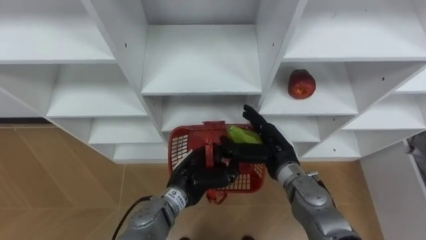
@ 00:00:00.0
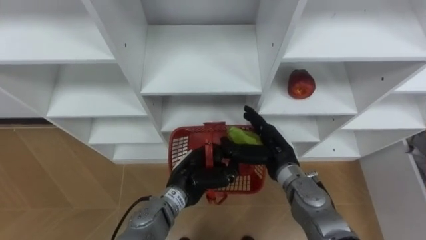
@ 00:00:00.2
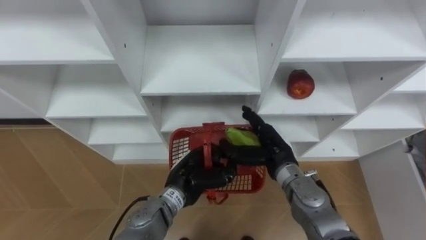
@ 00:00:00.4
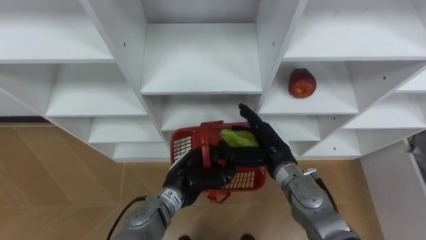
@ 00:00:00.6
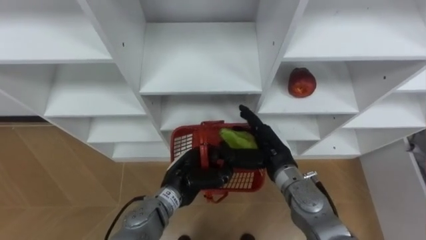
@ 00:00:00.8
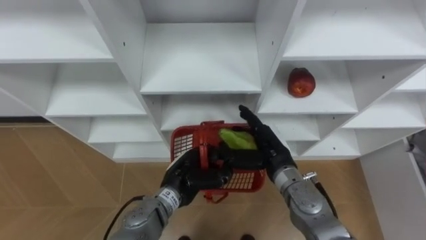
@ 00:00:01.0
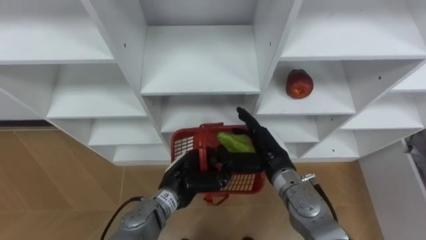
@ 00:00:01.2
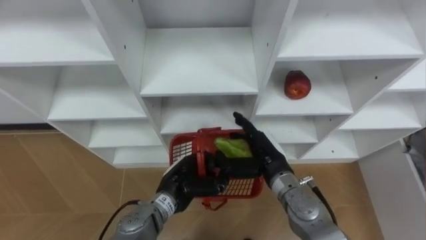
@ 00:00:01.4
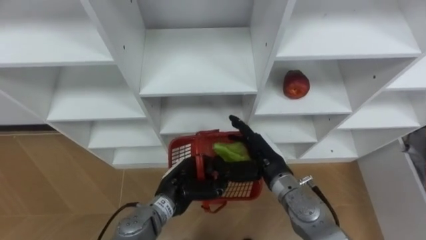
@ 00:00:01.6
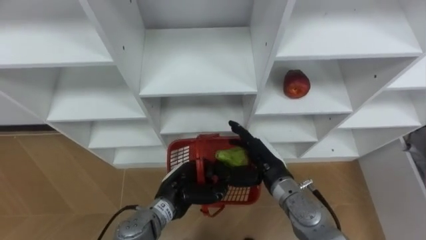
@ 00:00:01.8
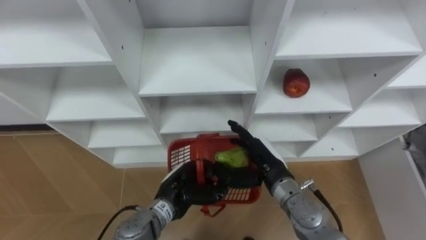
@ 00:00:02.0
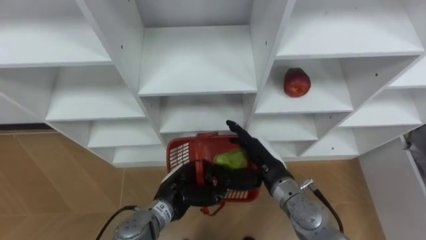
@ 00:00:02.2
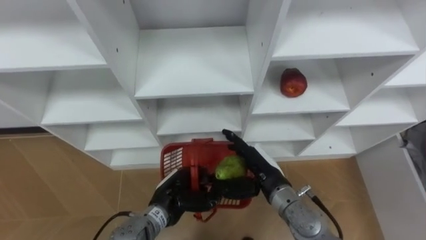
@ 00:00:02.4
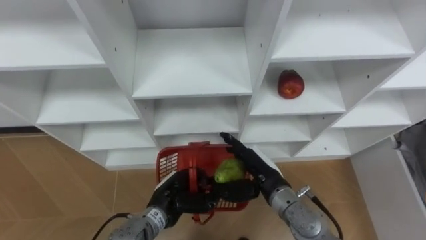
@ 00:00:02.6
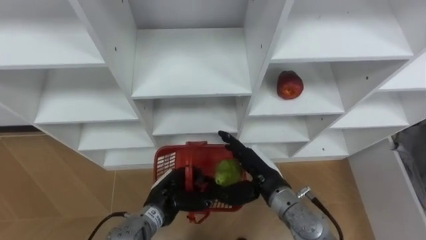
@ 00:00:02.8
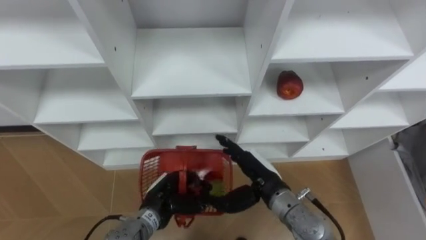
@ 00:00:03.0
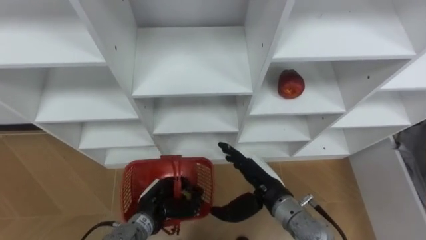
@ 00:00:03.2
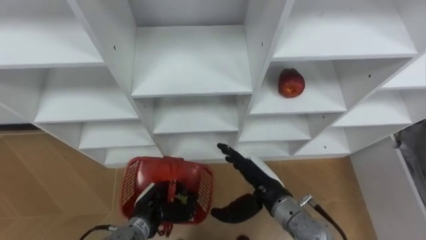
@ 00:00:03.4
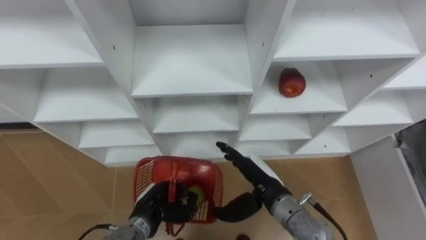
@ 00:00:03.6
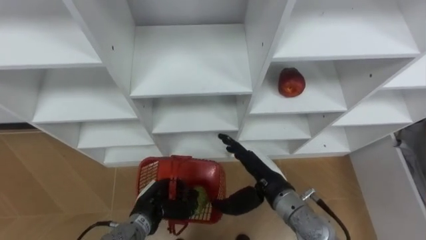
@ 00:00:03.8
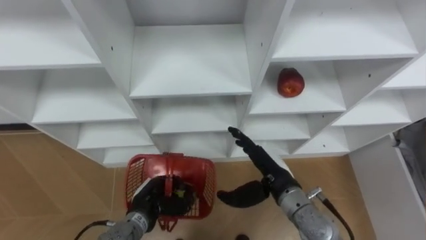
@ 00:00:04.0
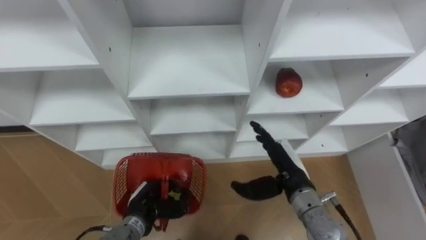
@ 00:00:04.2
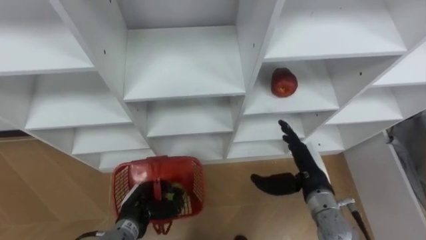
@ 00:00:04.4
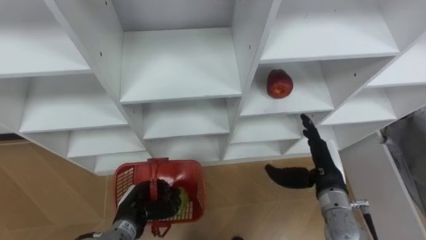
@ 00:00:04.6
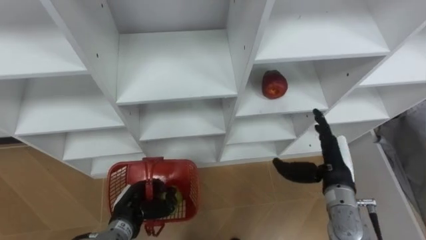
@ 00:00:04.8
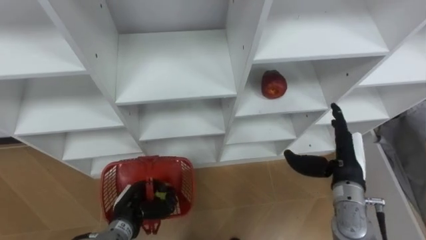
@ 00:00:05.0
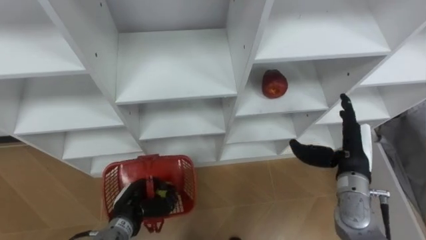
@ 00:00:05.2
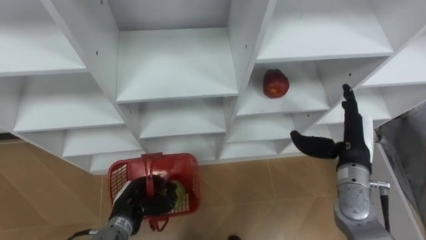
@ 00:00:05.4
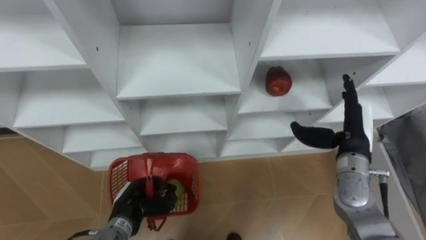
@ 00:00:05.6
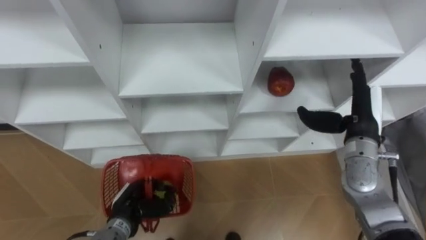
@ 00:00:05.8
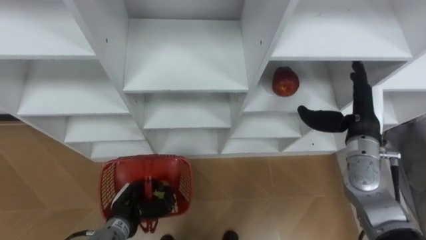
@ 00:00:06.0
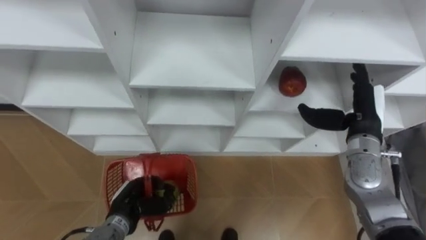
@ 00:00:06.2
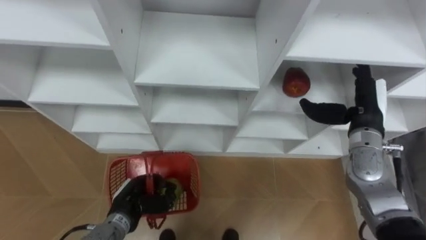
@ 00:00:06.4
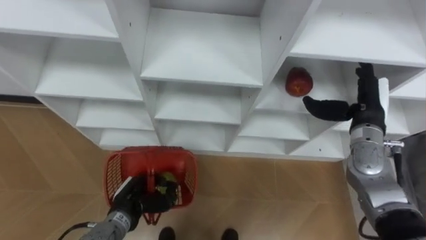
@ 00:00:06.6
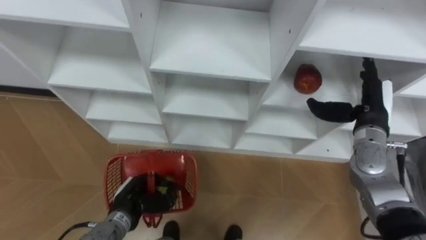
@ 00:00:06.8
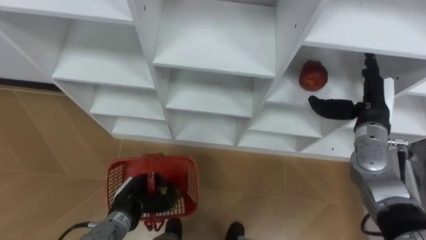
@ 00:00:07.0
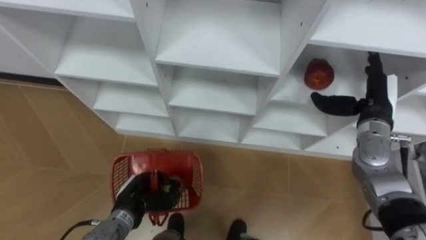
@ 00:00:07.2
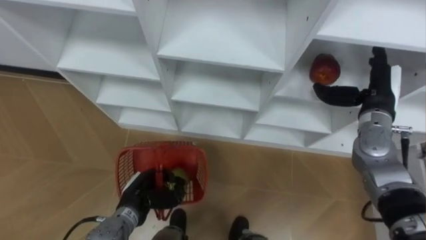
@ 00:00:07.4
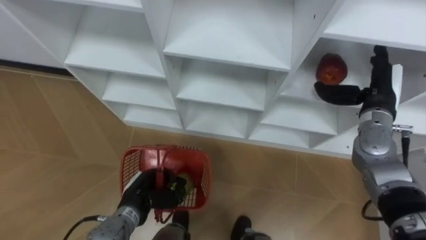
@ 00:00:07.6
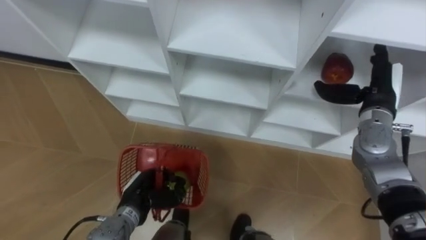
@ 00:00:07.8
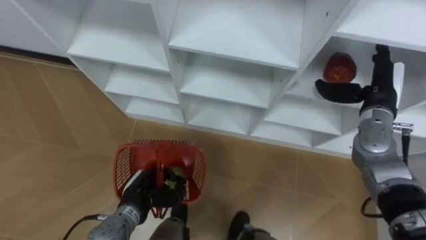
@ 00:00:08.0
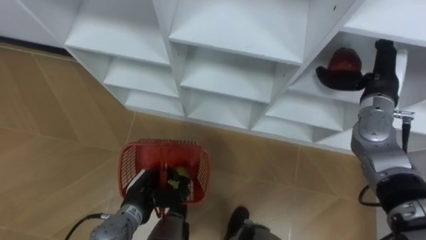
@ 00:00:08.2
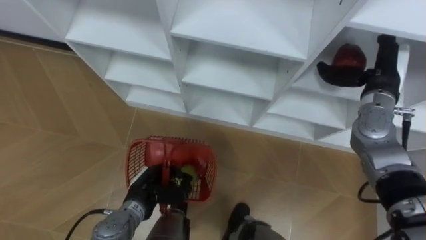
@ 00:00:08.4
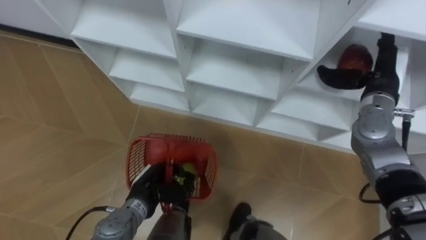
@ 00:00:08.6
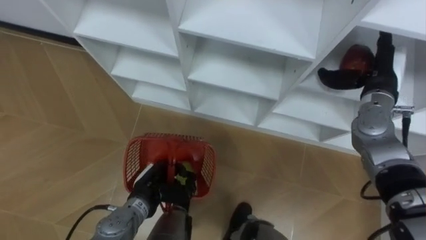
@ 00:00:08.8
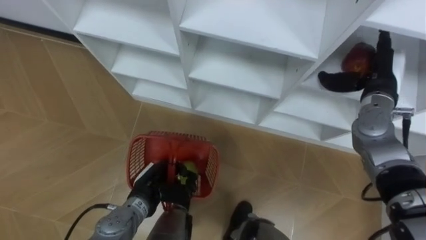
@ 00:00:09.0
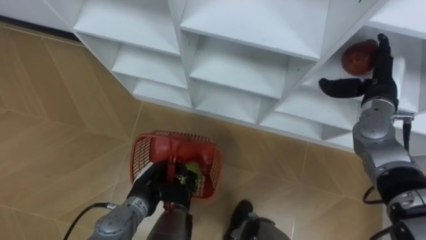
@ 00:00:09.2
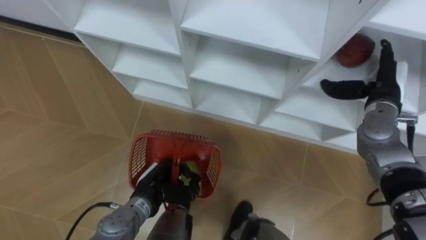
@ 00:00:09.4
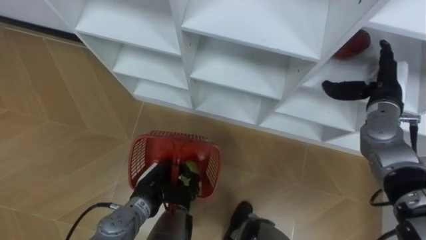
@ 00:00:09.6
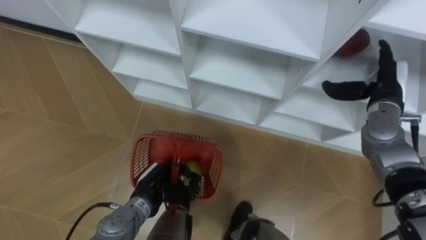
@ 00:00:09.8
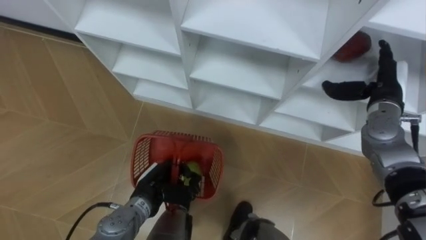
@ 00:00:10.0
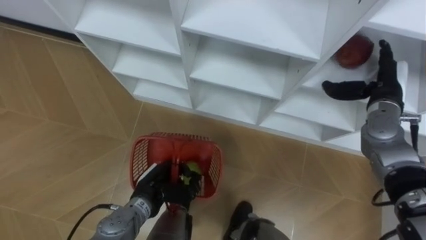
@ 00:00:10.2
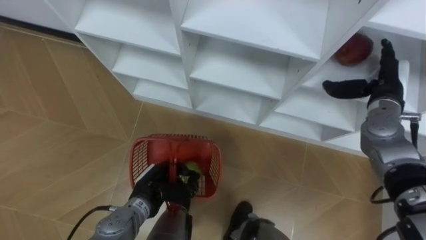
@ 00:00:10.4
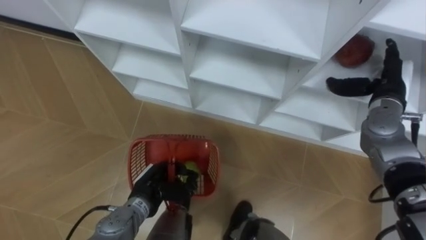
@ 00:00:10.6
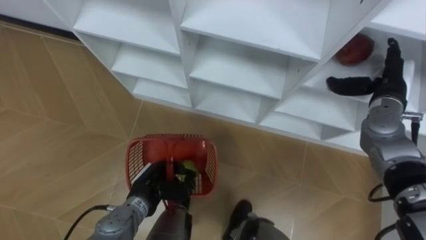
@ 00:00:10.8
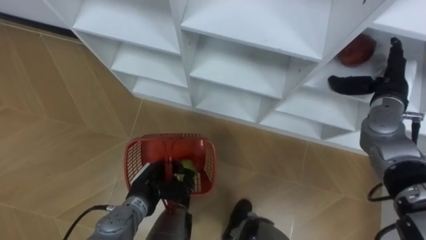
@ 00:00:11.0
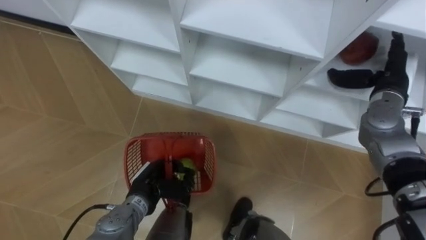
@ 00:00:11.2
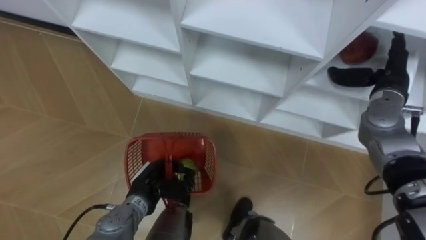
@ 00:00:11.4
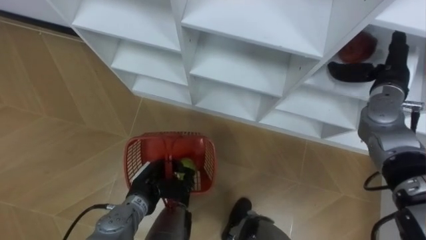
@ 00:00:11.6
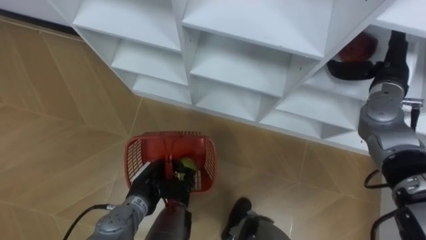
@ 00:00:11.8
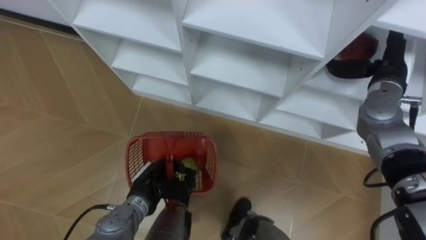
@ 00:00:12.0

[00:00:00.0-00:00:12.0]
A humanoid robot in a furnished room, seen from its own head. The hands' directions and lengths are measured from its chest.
Task of the whole recording: Hold the basket and collect the fruits from 3 different cells of the closet into it.
00:00:00.0 to 00:00:01.6: The hands move only a little.
00:00:03.0 to 00:00:04.4: The left hand travels to the left by about 5 cm; the right hand goes approximately 10 cm to the right.
00:00:04.4 to 00:00:06.0: The right hand is displaced to the right, upward and forward by roughly 15 cm.
00:00:06.0 to 00:00:07.6: The right hand moves roughly 5 cm.
00:00:09.0 to 00:00:12.0: The hands make only small movements.

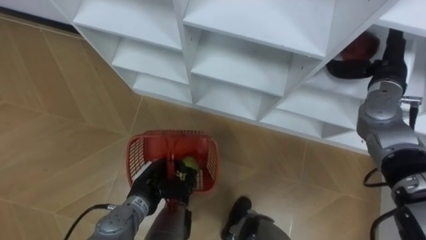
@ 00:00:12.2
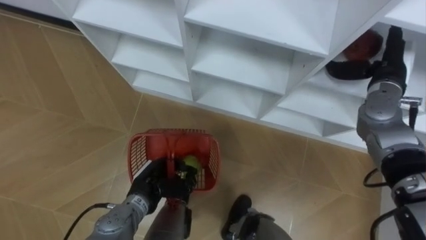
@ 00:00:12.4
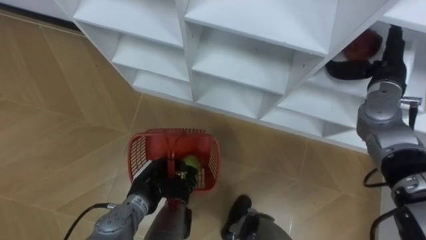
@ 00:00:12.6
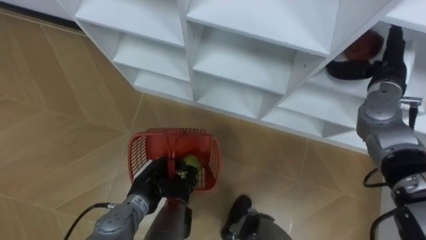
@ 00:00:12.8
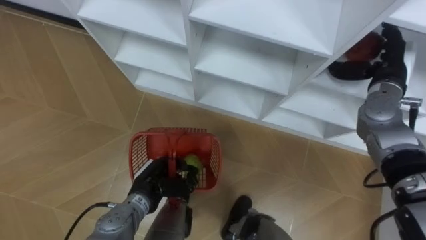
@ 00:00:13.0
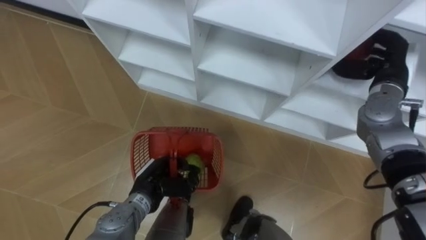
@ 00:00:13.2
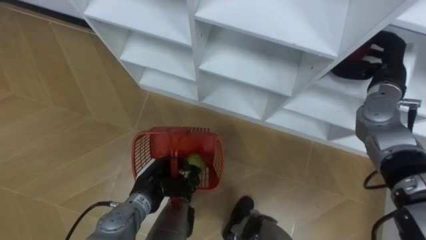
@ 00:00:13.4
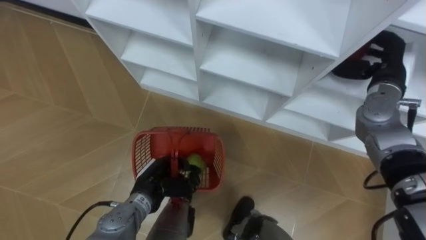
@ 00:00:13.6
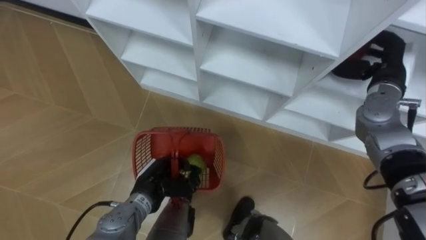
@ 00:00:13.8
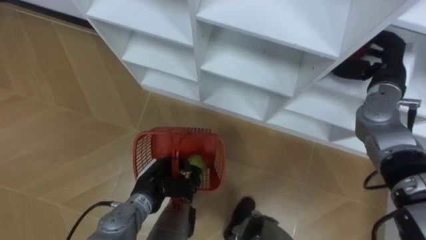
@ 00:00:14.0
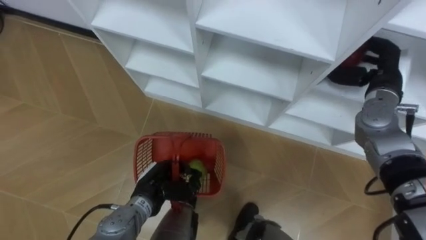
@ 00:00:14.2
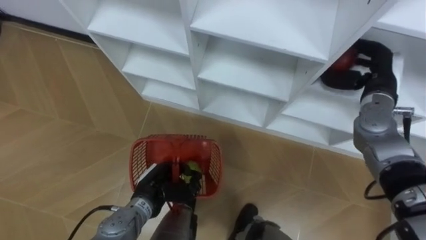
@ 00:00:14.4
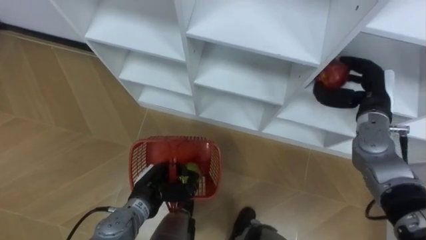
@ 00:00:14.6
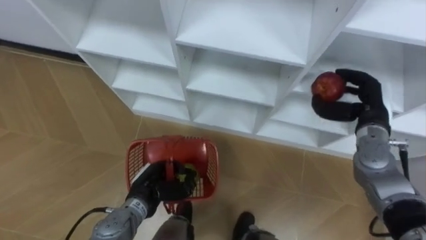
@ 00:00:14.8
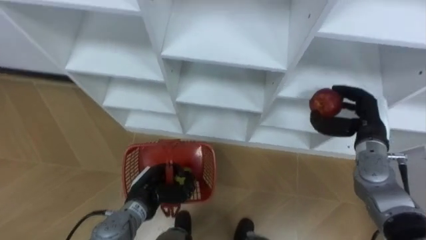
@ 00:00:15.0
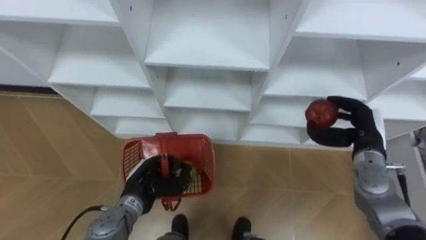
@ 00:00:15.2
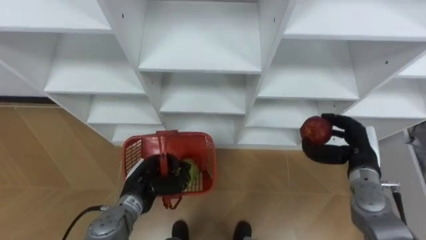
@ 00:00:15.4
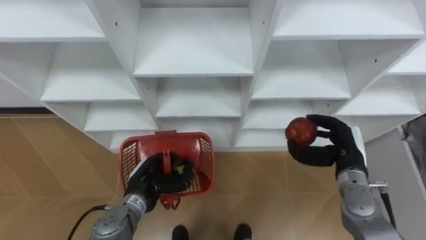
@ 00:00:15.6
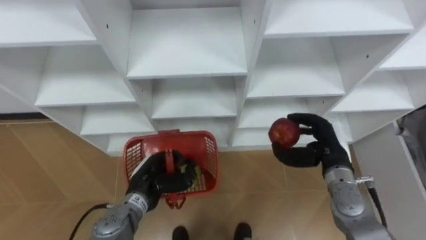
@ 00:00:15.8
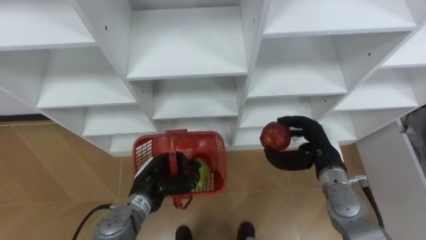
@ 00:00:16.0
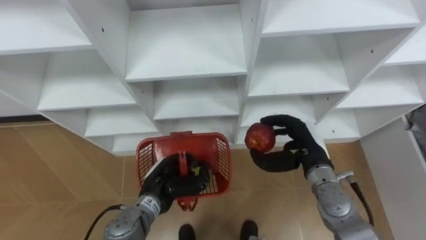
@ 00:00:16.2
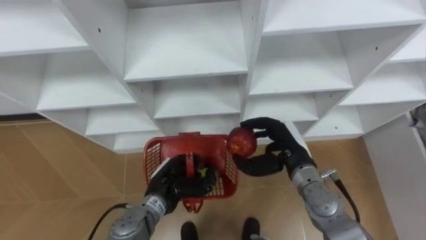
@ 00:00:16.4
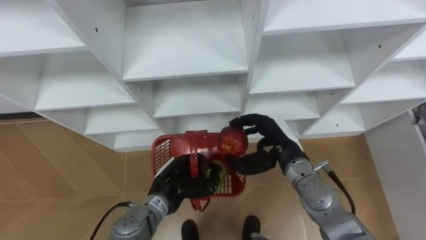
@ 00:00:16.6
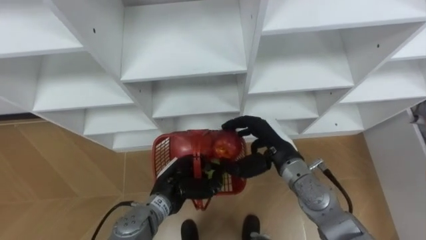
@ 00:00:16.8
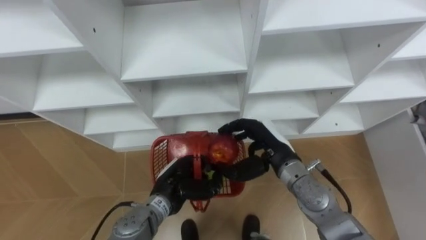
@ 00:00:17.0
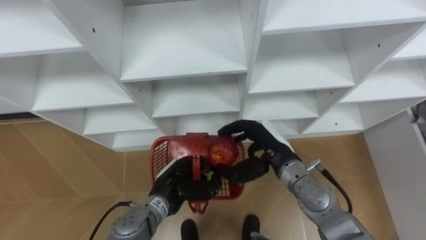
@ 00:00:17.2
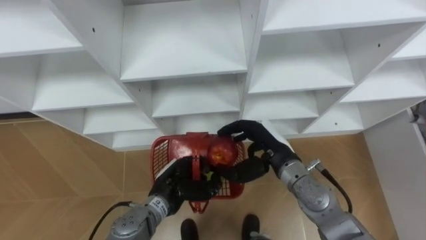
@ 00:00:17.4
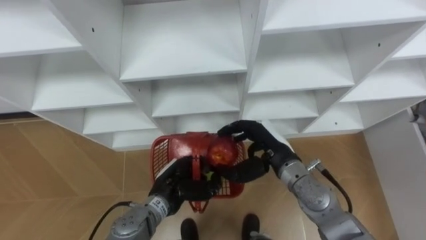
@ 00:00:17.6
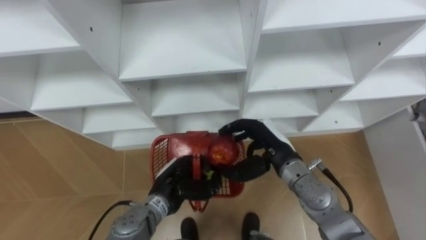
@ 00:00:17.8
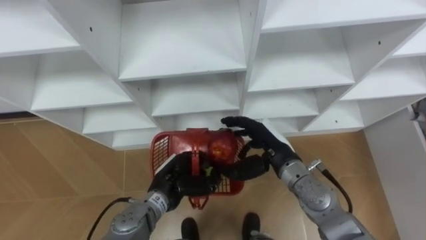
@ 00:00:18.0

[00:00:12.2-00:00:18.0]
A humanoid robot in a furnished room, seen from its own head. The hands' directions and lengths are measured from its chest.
Task of the whole recording: Hold the basket and collect the fruits from 3 different cells of the closet into it.
00:00:12.2 to 00:00:13.6: The right hand closes up.
00:00:13.6 to 00:00:15.0: The right hand heads downward and backward, covering about 10 cm.
00:00:15.0 to 00:00:16.6: The left hand shifts by some 5 cm; the right hand is displaced to the left by approximately 15 cm.
00:00:16.6 to 00:00:18.0: The hands make only small movements.
